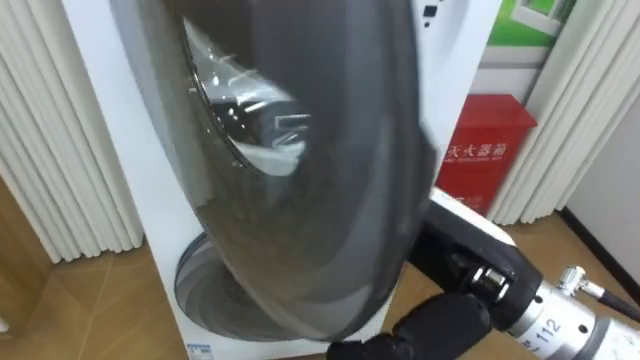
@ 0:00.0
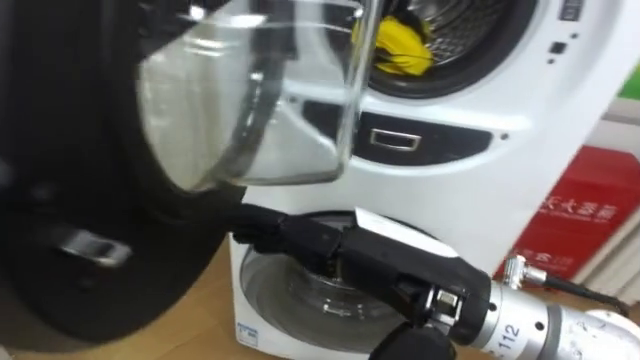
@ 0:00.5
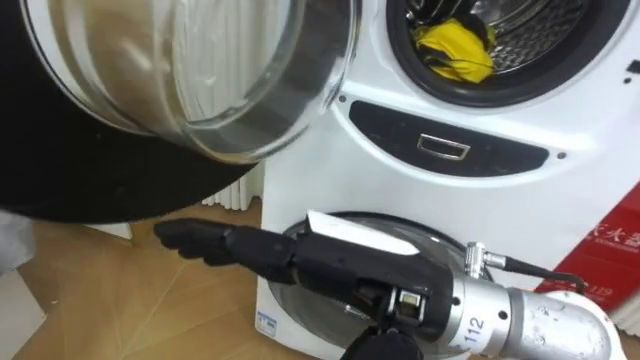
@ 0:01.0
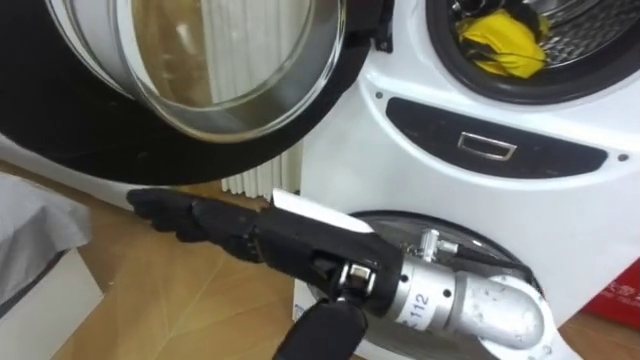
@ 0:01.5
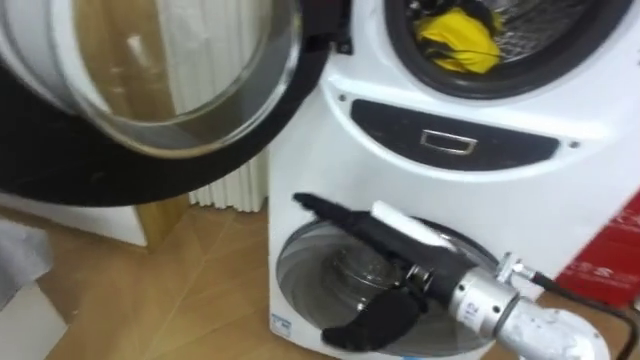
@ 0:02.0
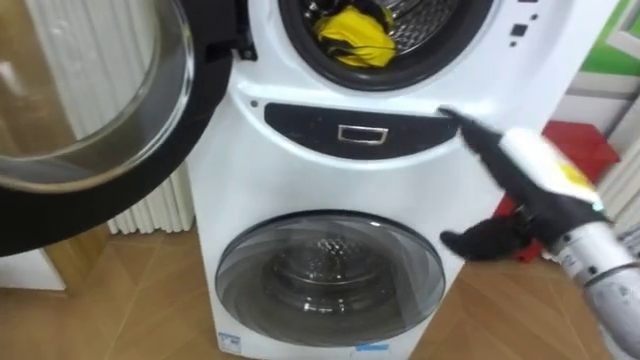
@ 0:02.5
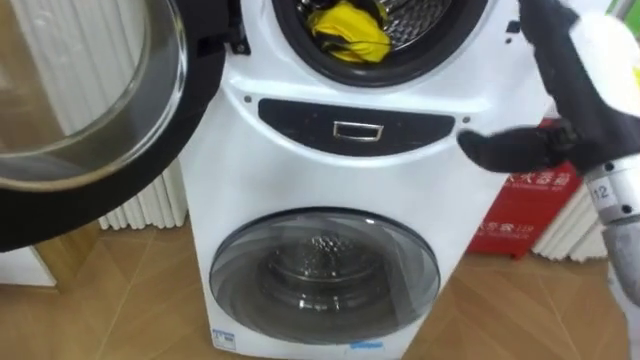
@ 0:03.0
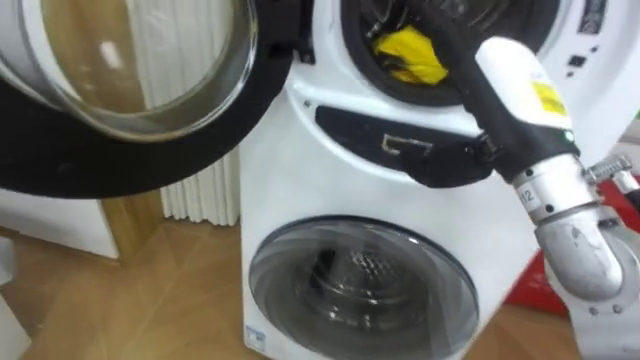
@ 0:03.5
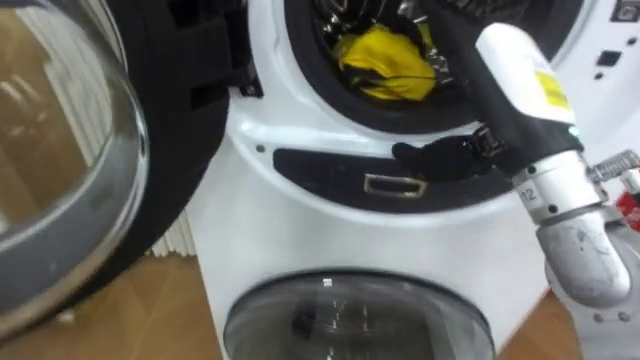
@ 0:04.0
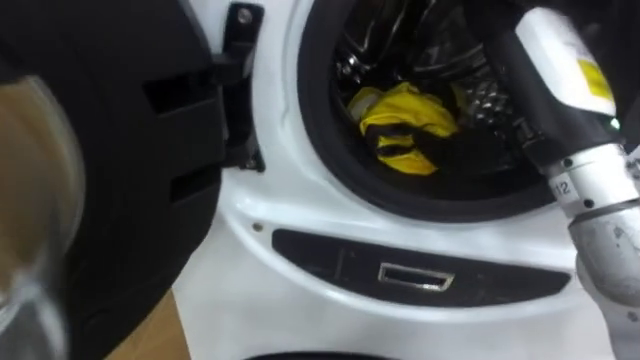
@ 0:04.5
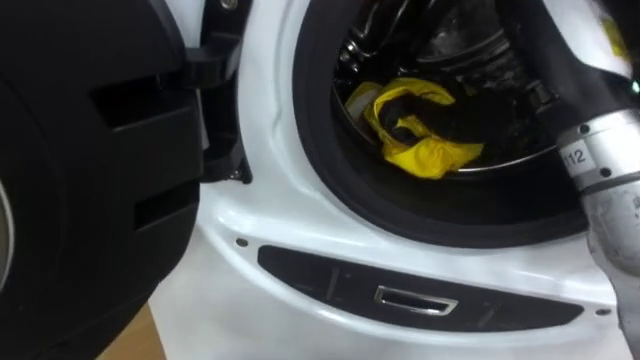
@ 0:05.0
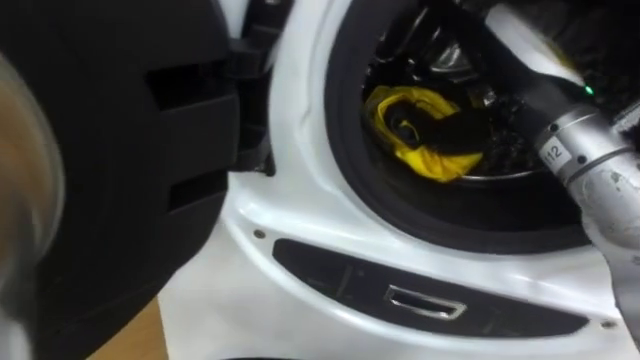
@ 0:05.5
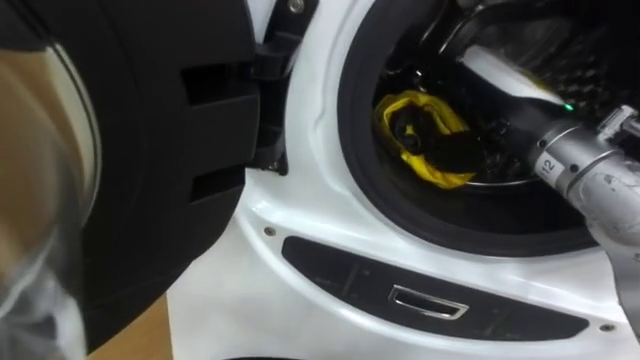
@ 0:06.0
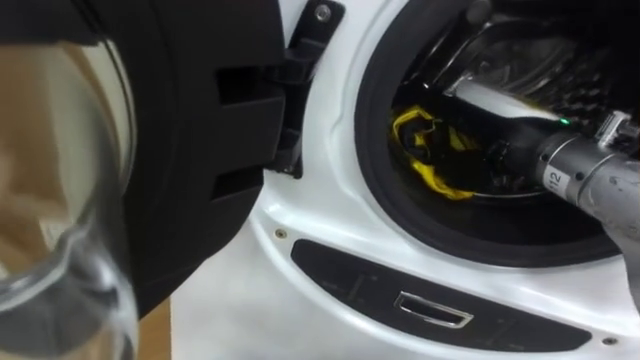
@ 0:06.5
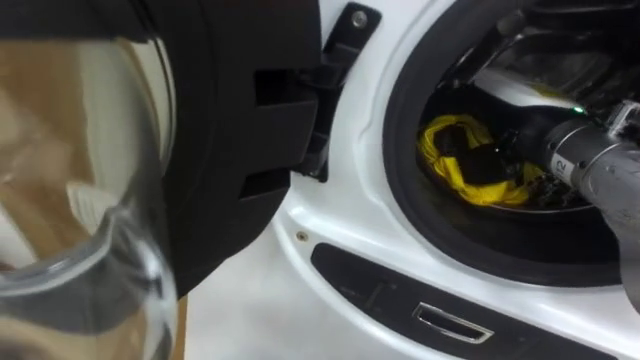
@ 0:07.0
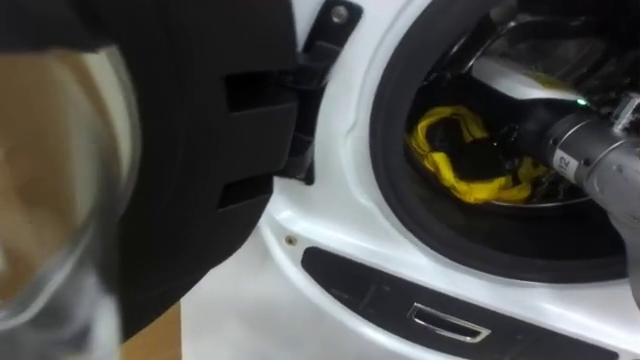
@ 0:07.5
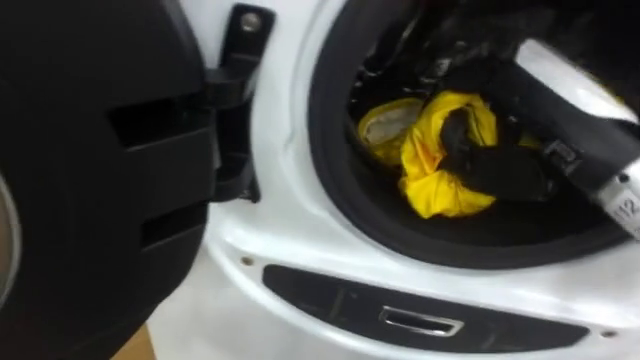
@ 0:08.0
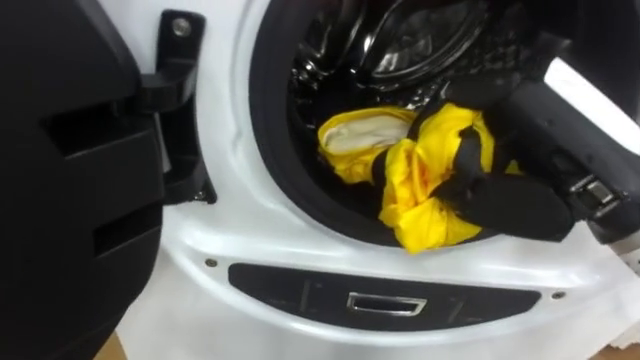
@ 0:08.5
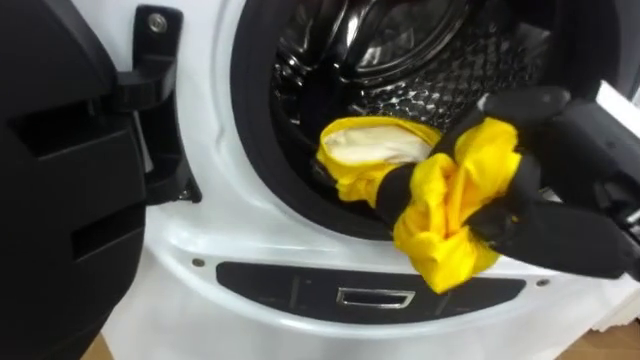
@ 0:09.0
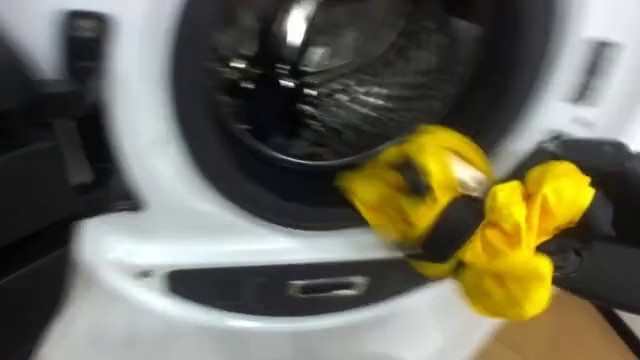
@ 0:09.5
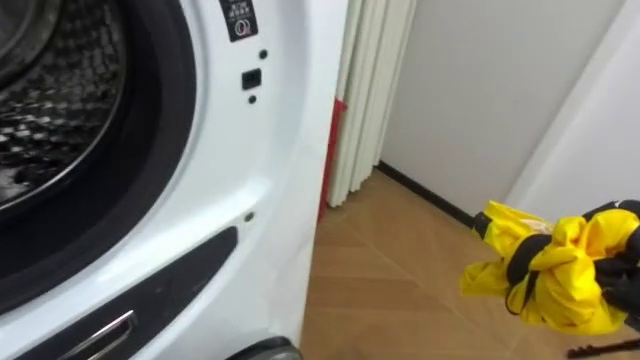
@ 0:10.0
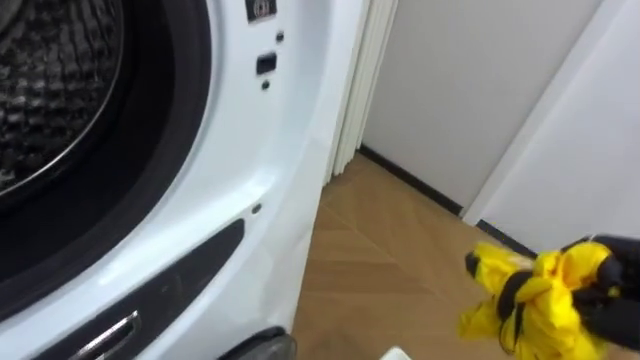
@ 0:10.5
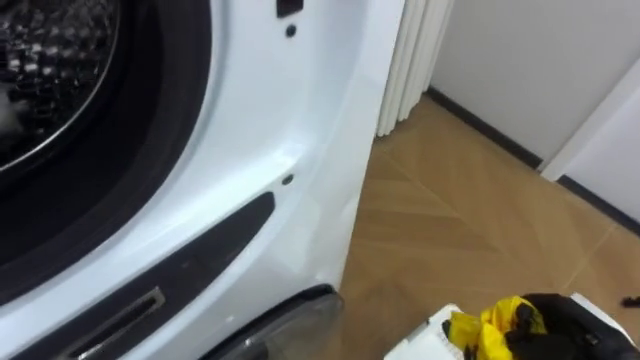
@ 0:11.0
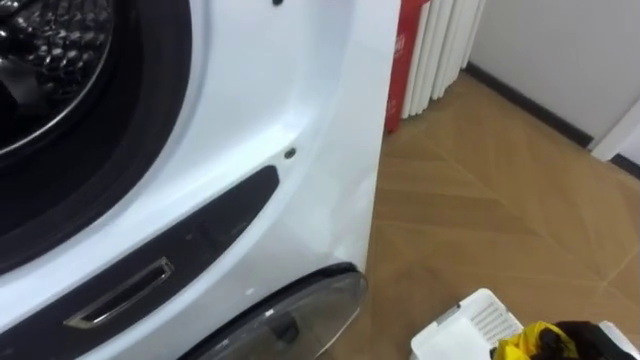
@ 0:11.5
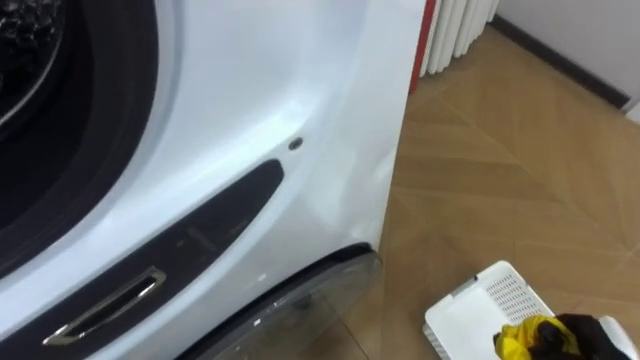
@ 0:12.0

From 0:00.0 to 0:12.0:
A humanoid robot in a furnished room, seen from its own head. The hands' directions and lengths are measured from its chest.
Task of the whole recording: Open the washing machine door, take out the yellow clothes, place them in the box on the right, and close the washing machine door.
From 0:00.0 to 0:02.0: The right hand travels downward by some 5 cm, and goes to the left and returns, roughly 10 cm each way.
From 0:02.0 to 0:04.0: The right hand shifts about 15 cm upward and to the right.
From 0:06.0 to 0:08.0: The right hand moves backward, approximately 5 cm, and closes its fingers.

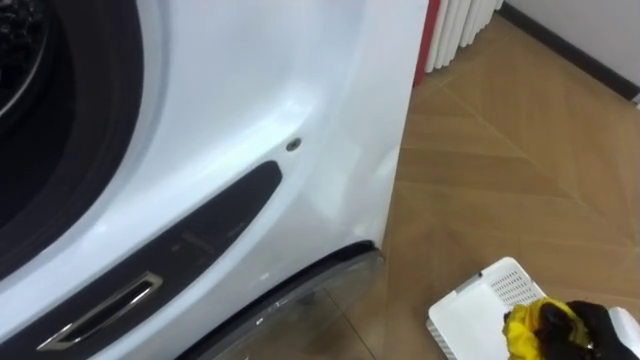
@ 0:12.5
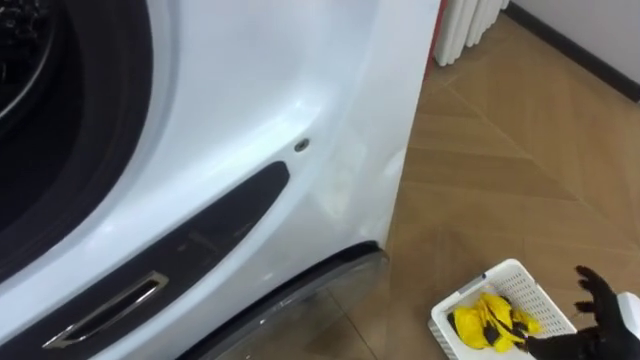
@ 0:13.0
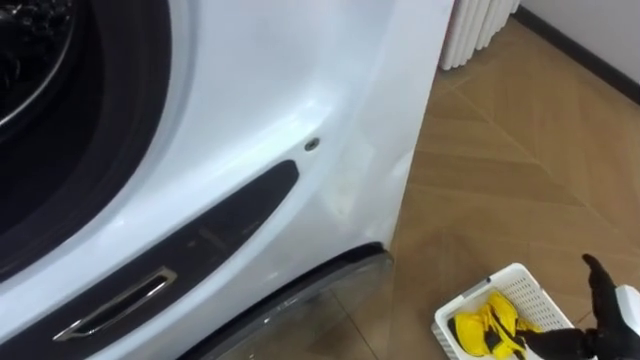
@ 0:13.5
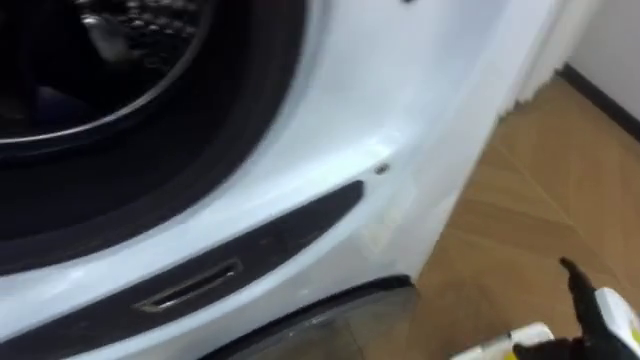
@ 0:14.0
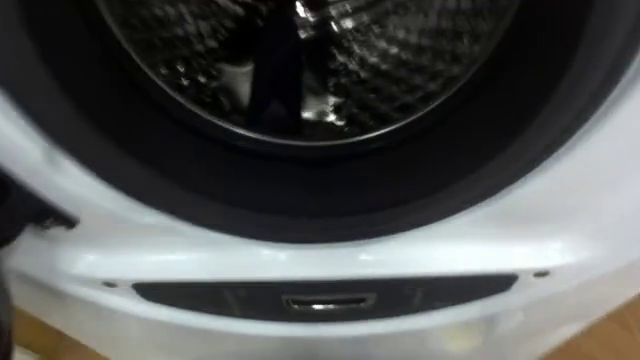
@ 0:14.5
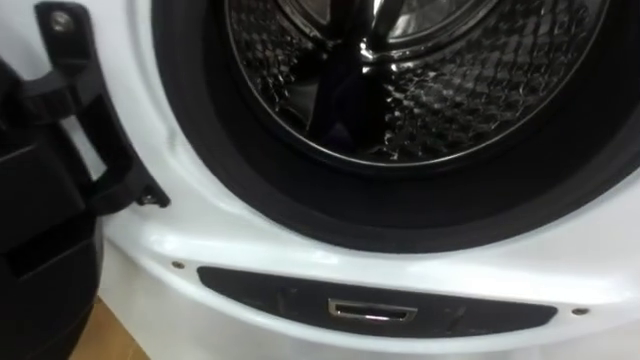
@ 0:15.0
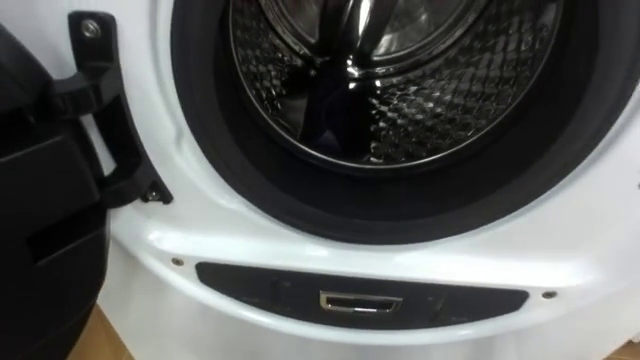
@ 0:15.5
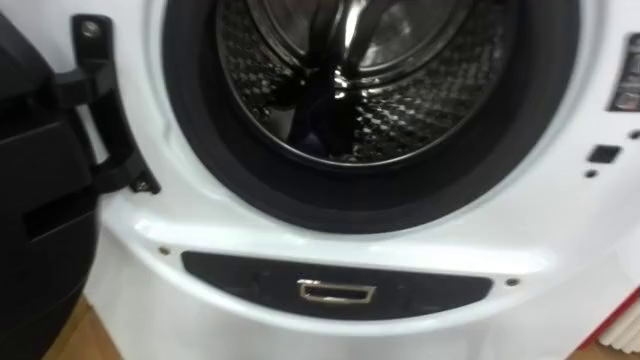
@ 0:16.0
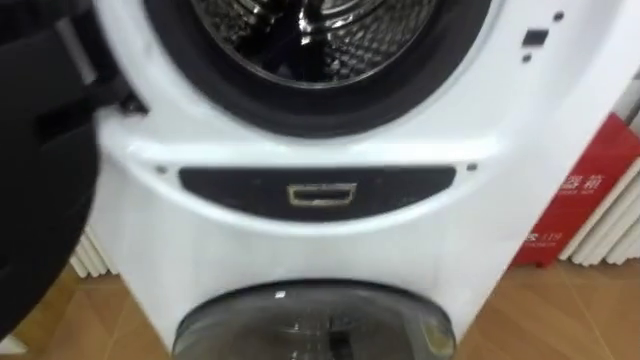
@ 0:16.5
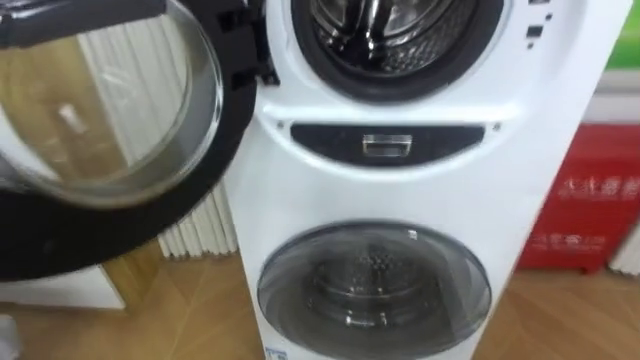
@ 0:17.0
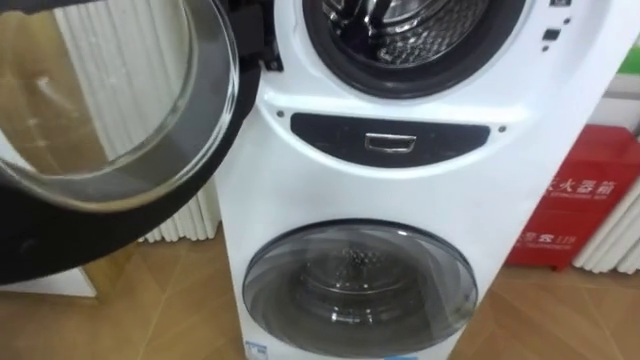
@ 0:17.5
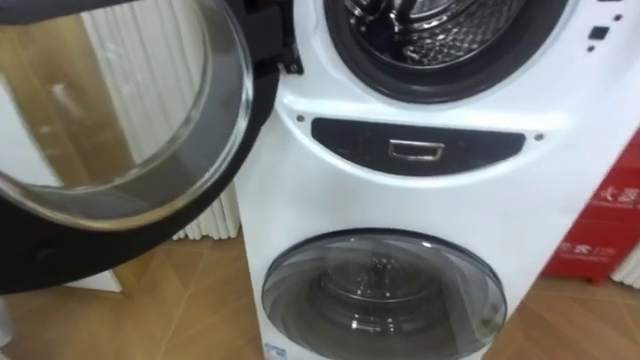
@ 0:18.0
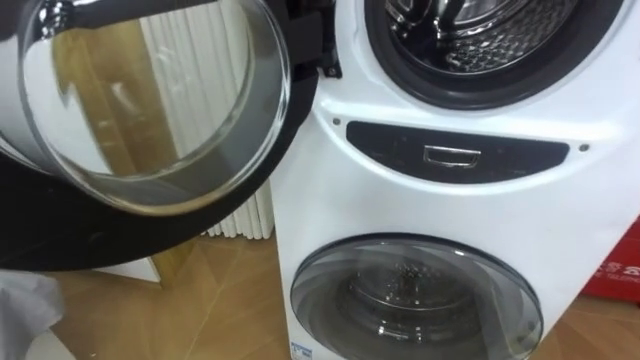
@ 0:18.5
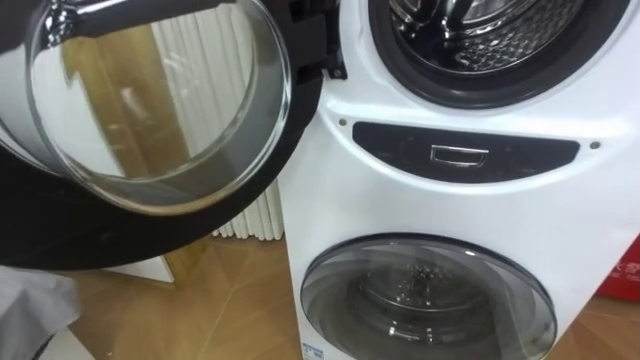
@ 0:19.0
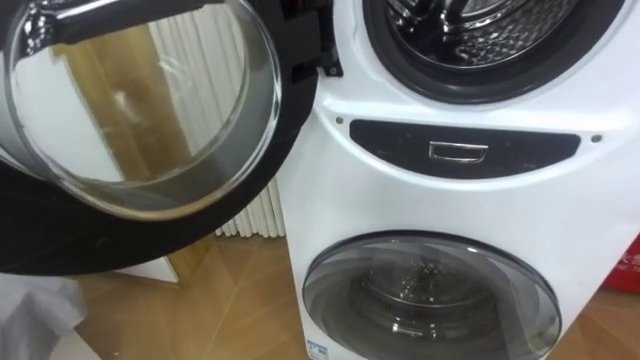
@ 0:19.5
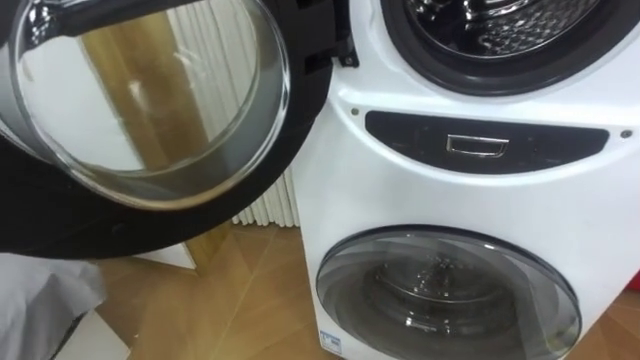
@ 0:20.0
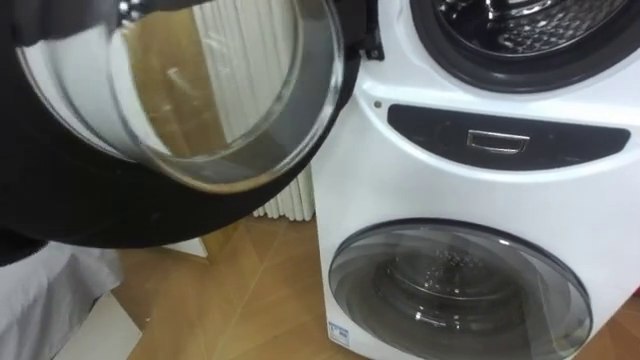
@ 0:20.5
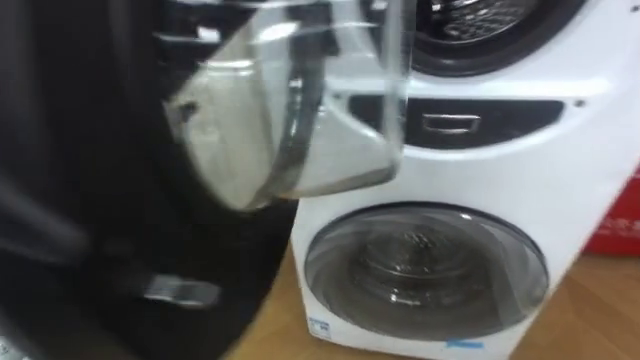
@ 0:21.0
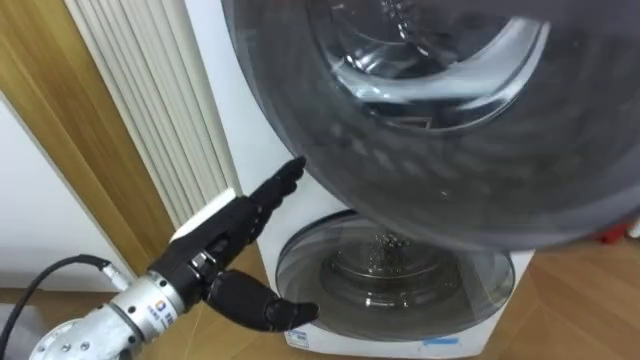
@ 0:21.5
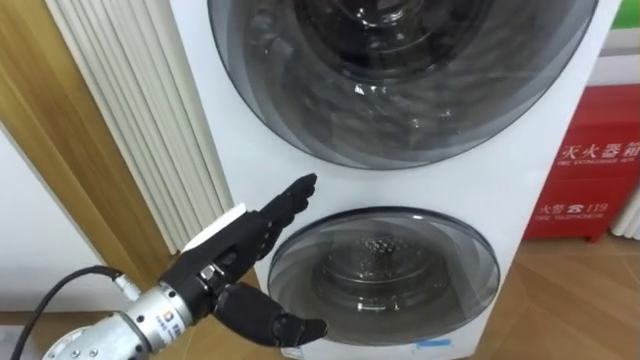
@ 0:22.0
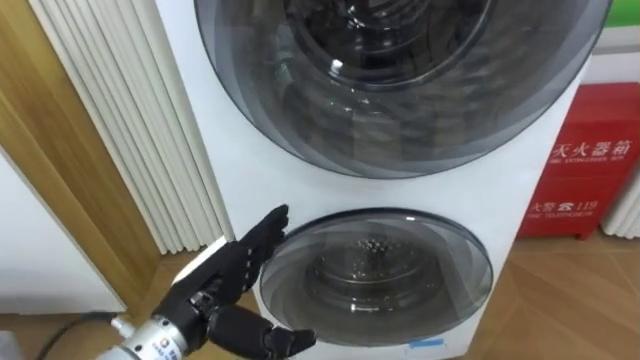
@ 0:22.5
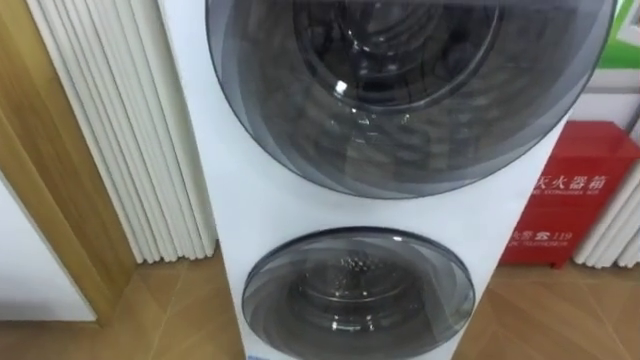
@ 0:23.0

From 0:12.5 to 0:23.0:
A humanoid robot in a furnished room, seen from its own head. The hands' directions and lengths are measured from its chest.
Task of the whole recording: Open the washing machine door, take out the yellow clothes, place them in the box on the right, and close the washing machine door.
From 0:12.5 to 0:14.5: The robot turns to its left by roughly 20 degrees.
